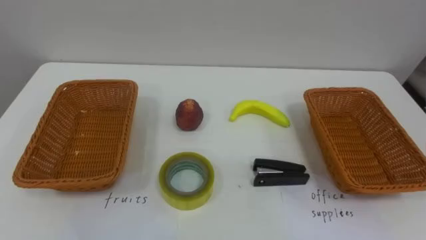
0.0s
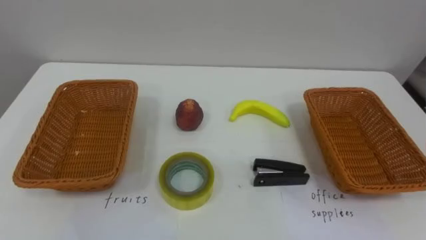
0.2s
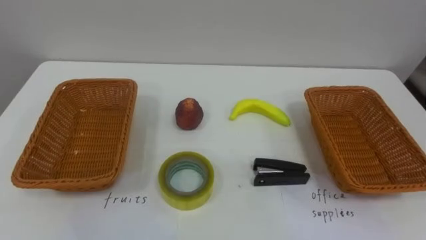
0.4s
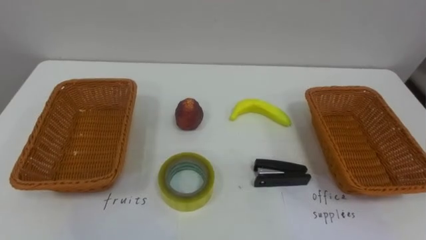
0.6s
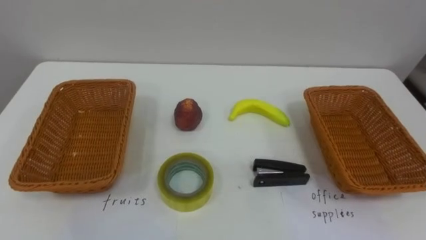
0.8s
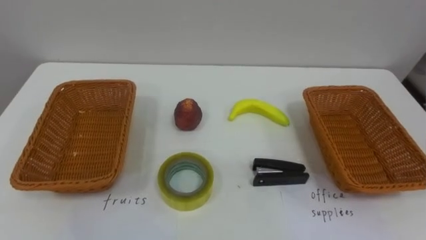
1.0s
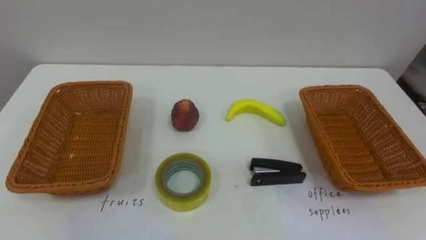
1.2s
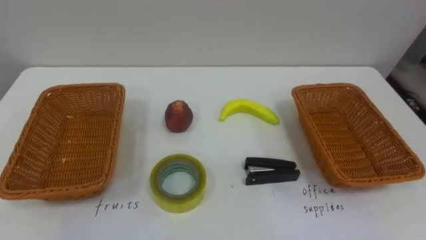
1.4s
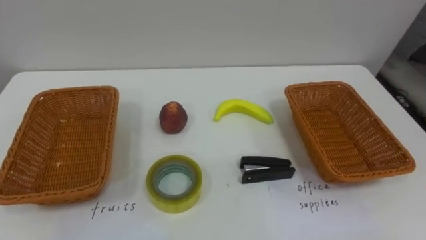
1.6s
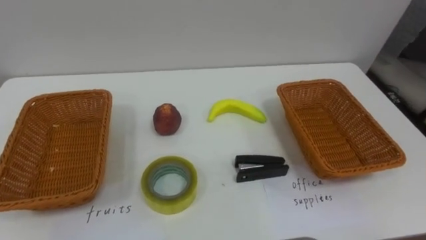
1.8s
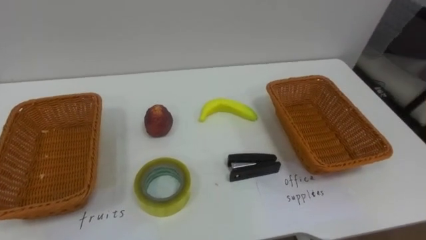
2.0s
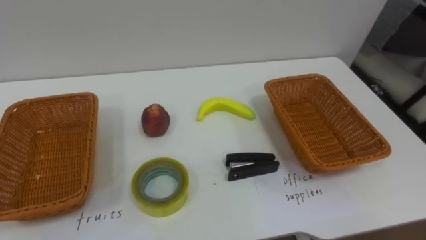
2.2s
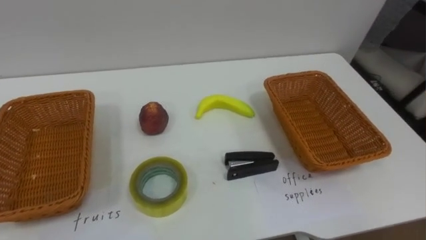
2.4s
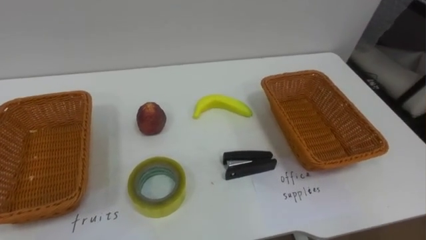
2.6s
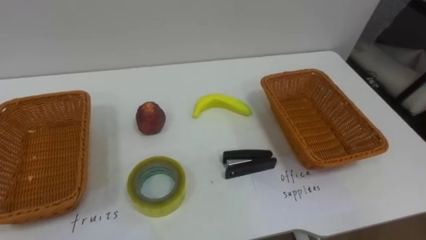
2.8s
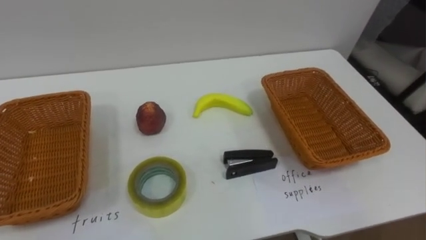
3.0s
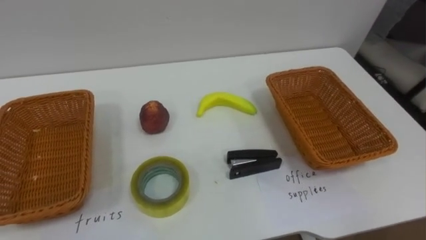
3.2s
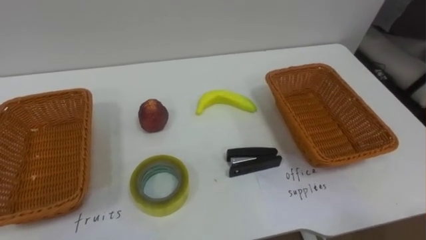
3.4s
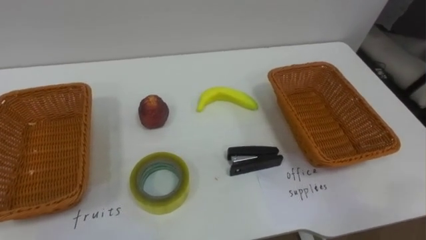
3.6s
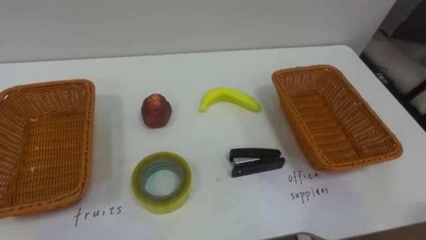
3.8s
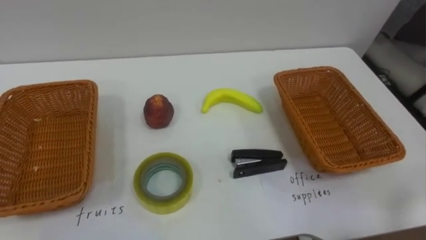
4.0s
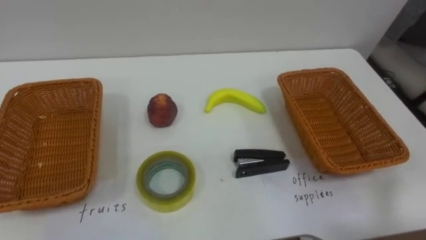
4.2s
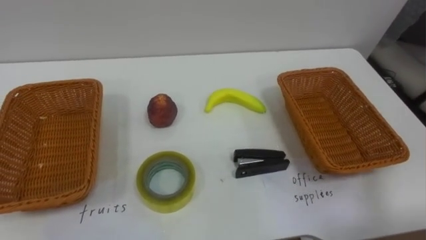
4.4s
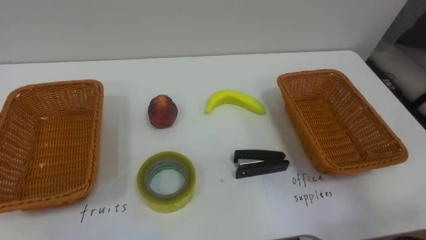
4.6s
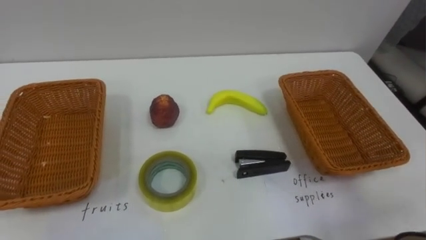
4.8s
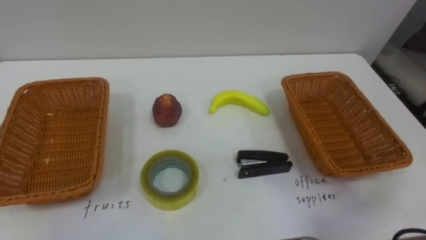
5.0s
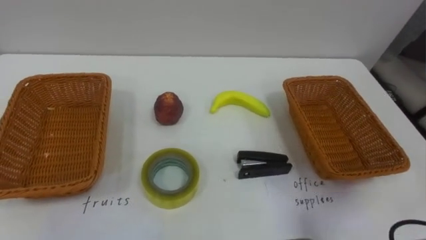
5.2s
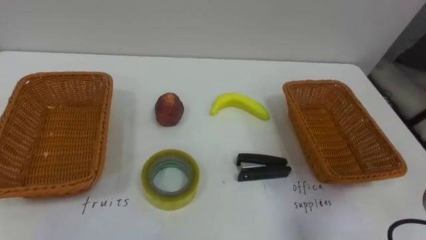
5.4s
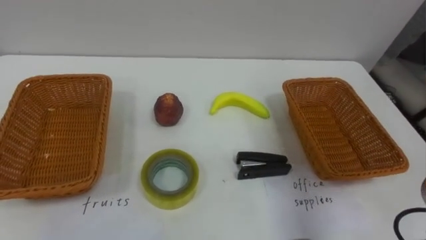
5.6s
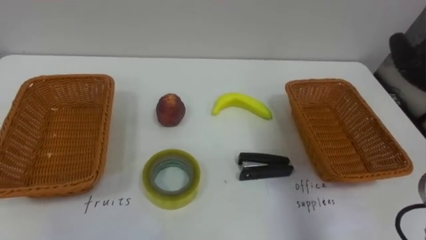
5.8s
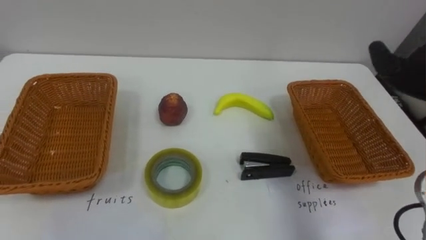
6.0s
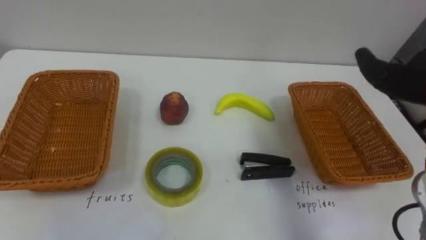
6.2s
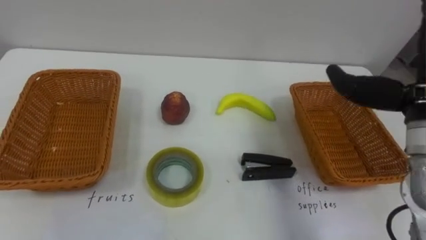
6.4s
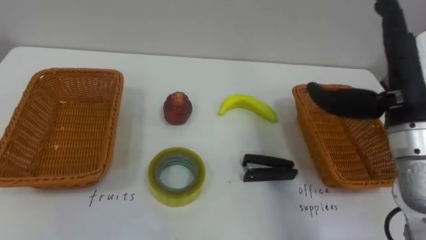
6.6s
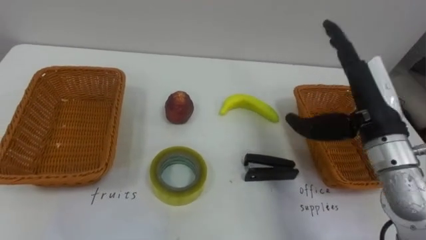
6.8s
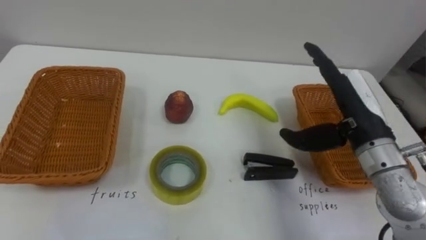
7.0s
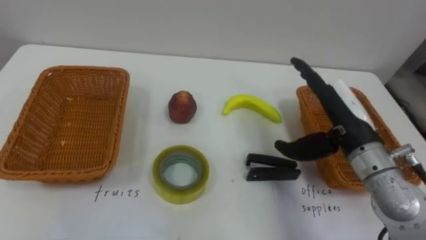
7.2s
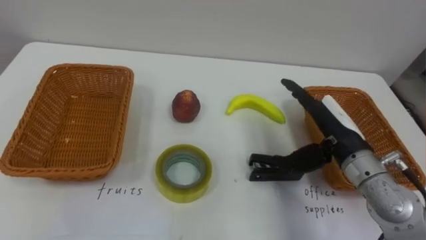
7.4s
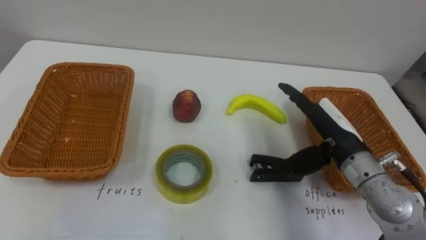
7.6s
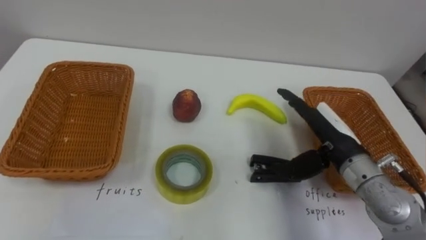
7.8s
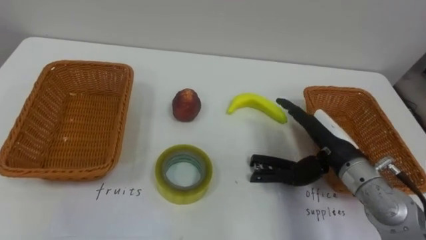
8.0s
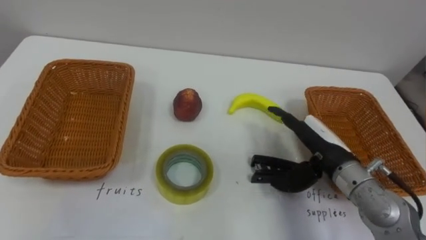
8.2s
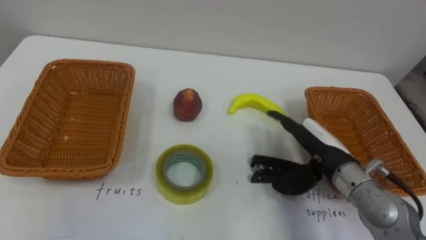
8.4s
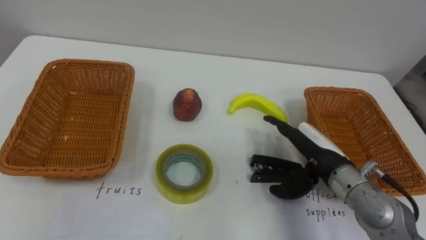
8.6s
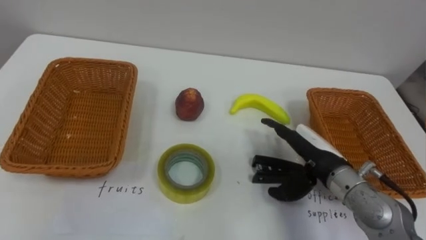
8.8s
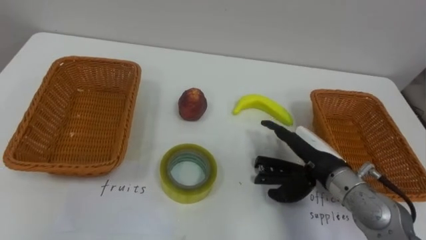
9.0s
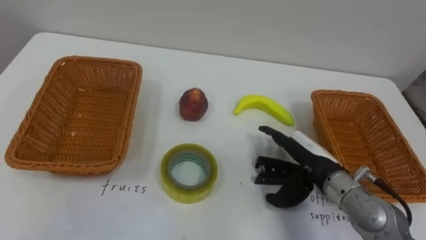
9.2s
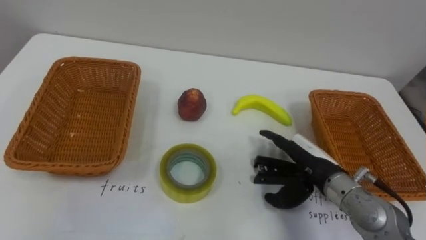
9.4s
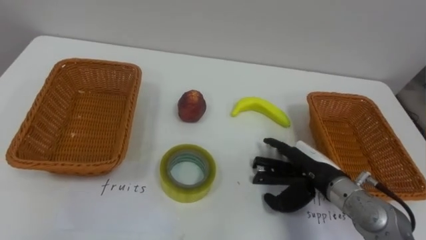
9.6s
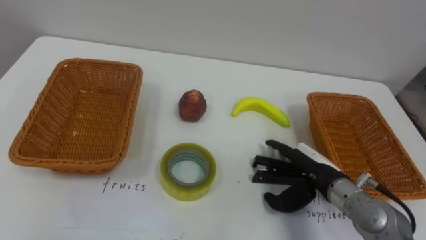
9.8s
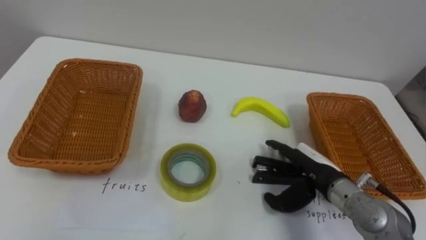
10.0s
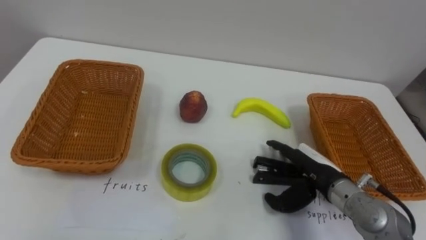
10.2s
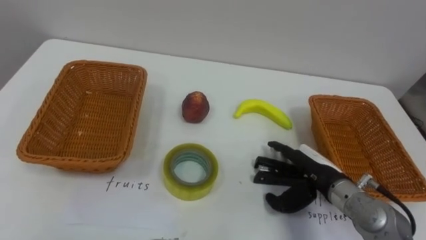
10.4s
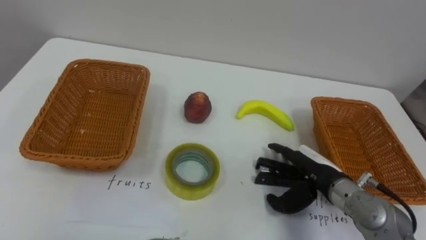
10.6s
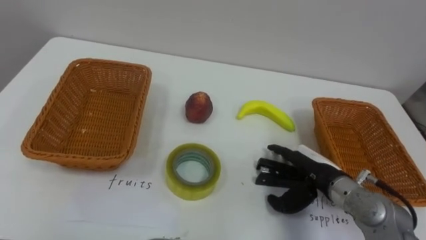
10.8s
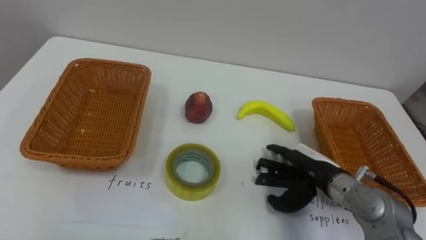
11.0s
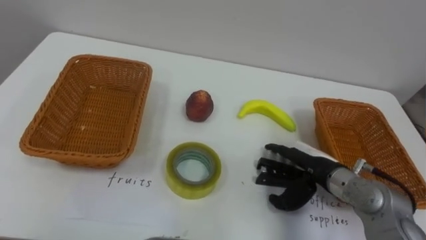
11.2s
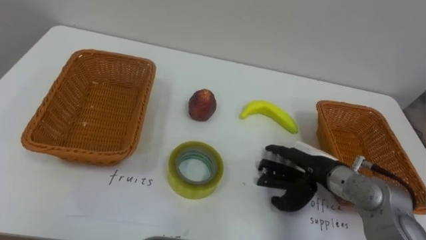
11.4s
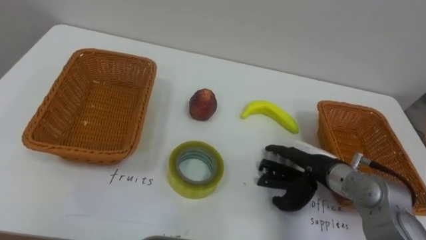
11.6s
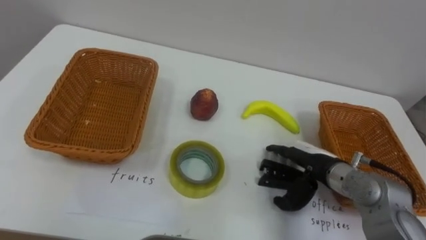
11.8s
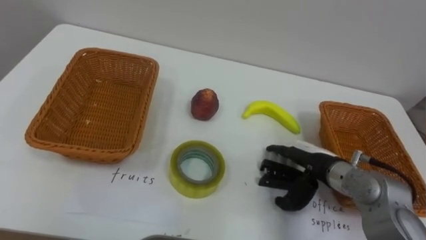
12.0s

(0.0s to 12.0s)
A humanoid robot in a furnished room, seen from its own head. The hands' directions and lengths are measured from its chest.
Task of the whole recording: Separate the items on the table and place them into the two baskets.
7.6s - 9.0s: The right hand goes roughly 5 cm downward.

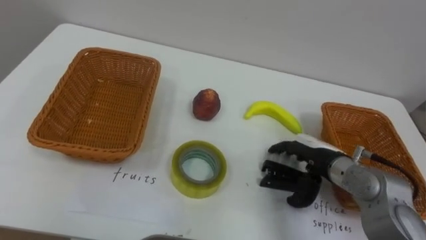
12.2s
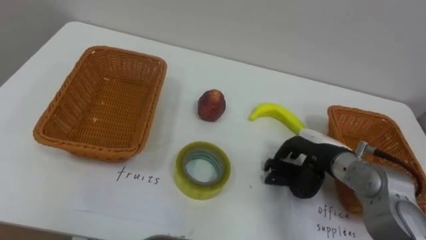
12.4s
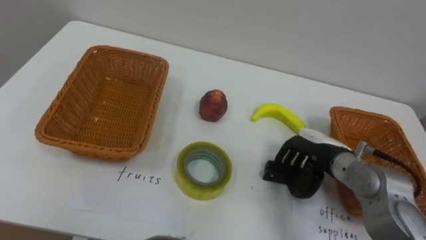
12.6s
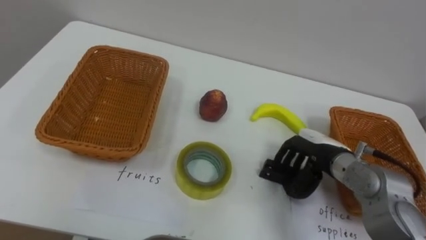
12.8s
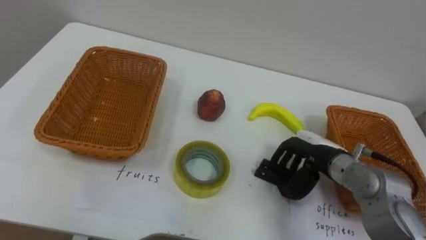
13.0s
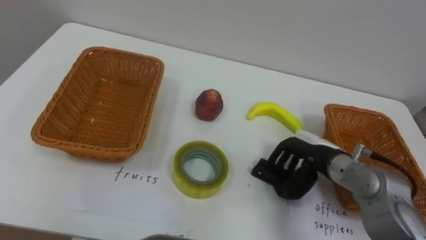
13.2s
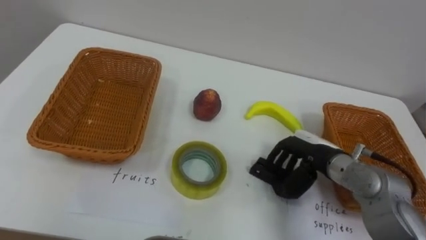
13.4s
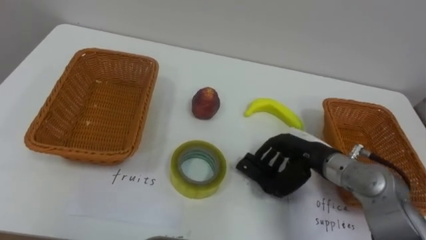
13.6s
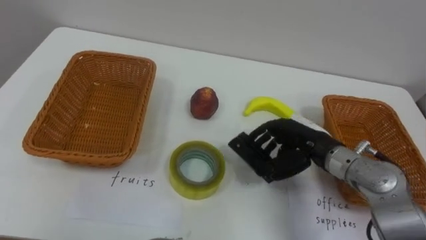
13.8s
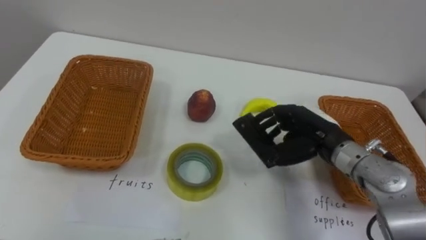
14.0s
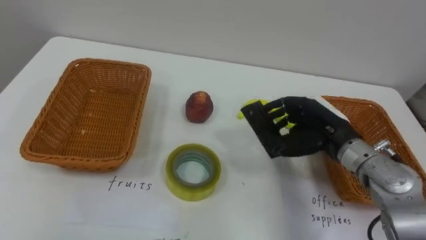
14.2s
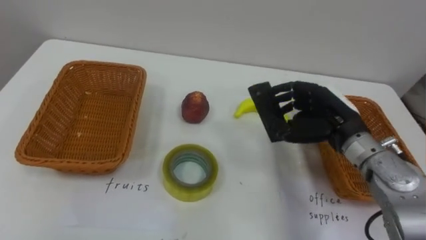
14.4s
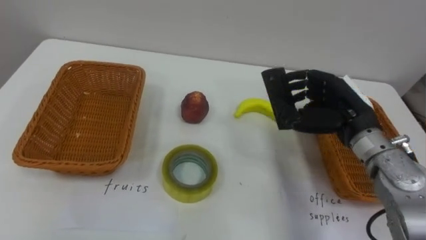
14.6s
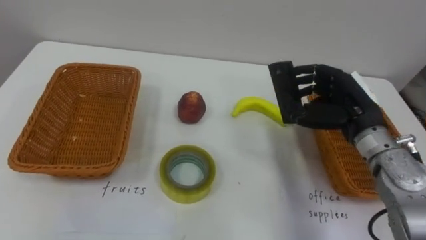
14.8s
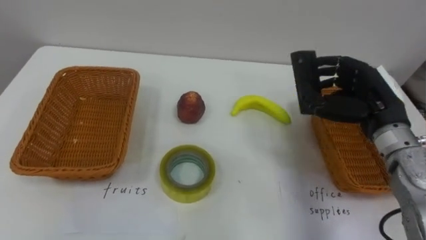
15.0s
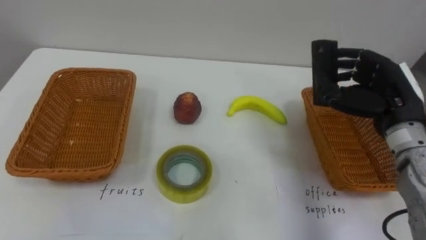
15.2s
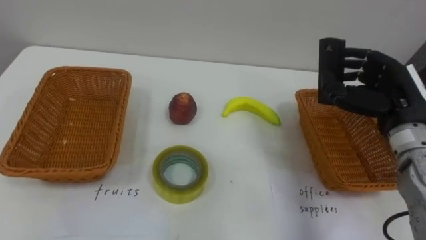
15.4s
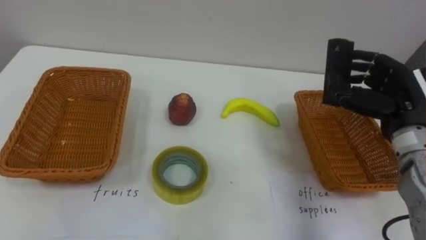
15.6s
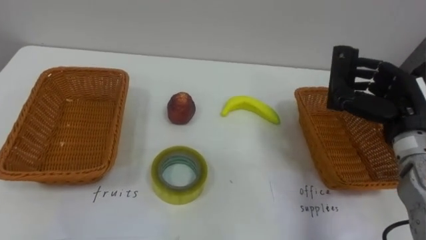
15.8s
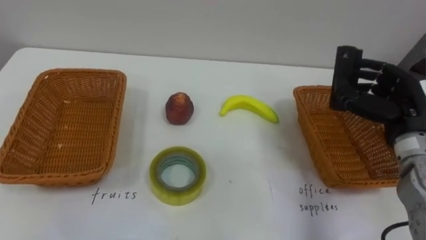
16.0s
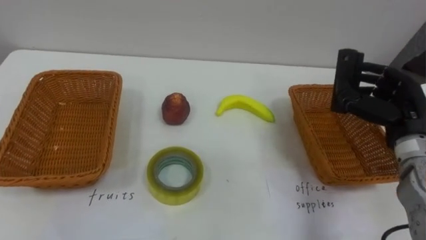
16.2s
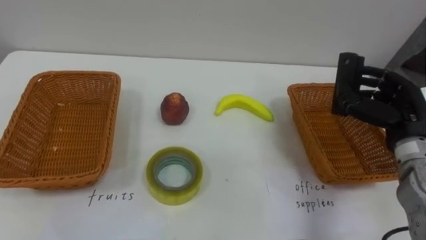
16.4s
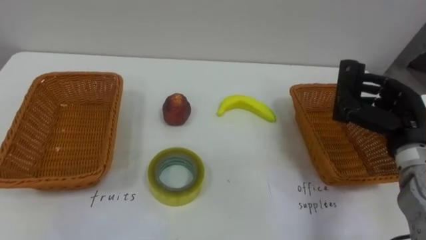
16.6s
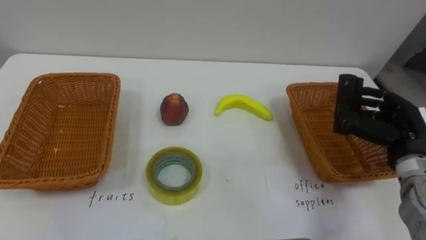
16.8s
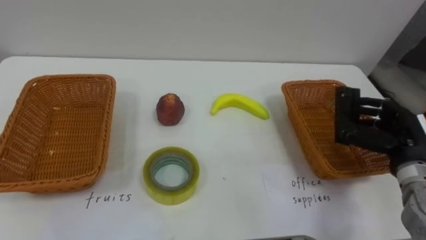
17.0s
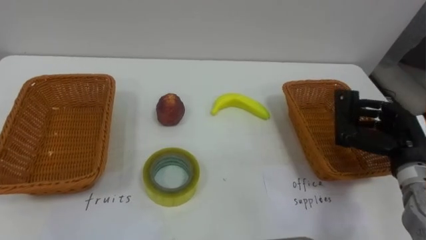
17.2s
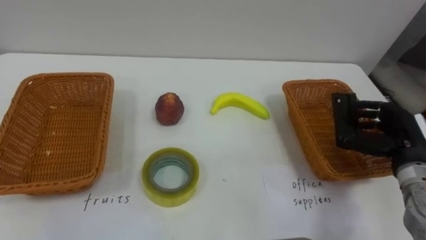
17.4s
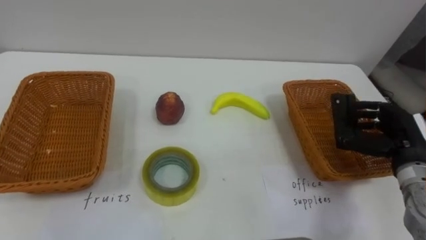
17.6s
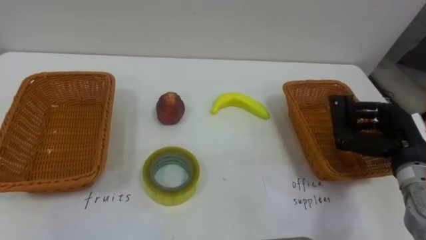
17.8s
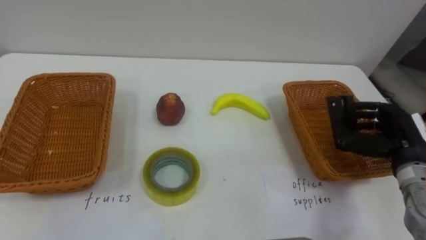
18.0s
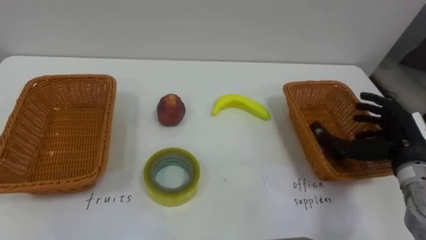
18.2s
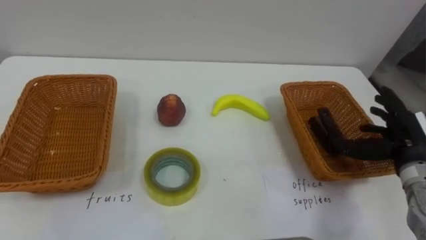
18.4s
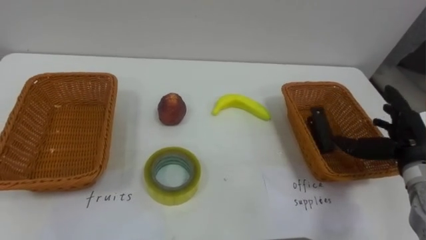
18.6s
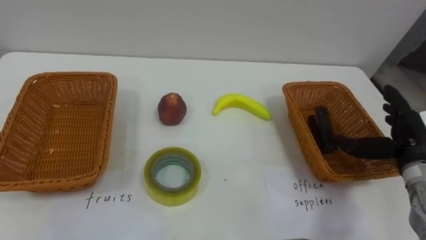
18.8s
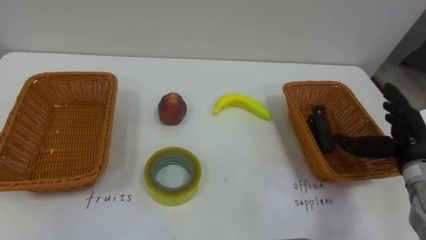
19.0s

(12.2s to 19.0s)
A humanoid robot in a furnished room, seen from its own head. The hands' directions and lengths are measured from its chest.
Task of the whole recording: Separate the items on the table and place them into the two baskets.
12.2s - 13.6s: The right hand closes.
13.6s - 15.0s: The right hand goes roughly 15 cm upward and to the right.
15.0s - 16.2s: The right hand goes roughly 5 cm to the right.
16.2s - 17.6s: The right hand moves roughly 5 cm.
17.6s - 19.0s: The right hand opens its fingers.
